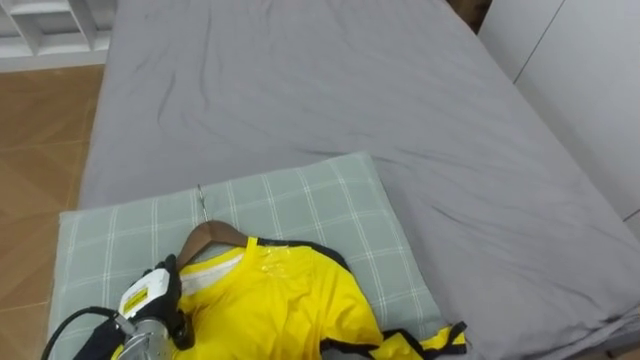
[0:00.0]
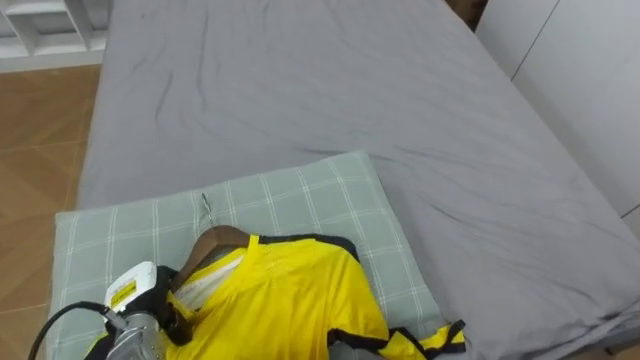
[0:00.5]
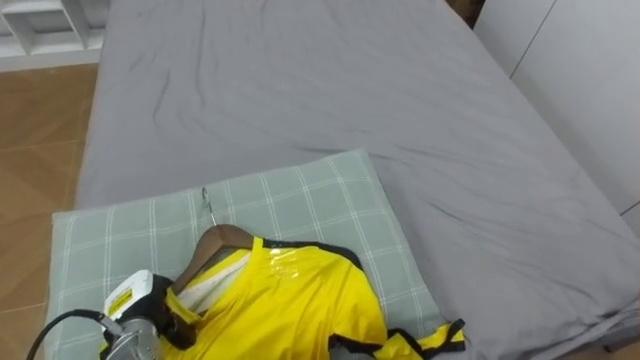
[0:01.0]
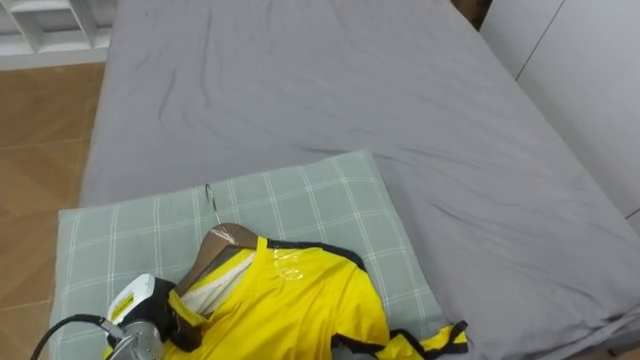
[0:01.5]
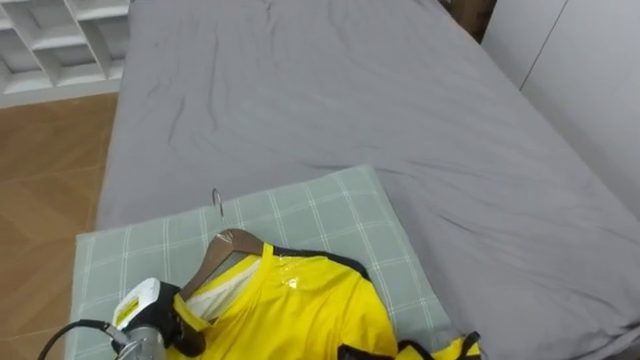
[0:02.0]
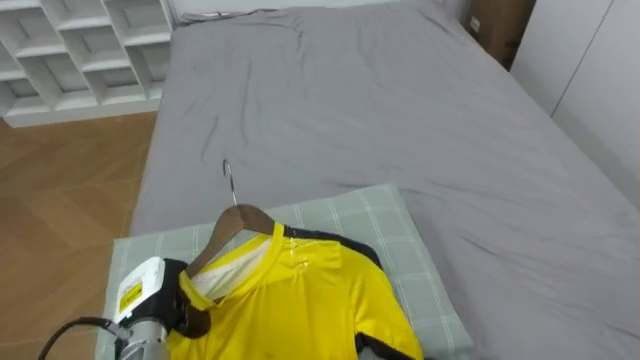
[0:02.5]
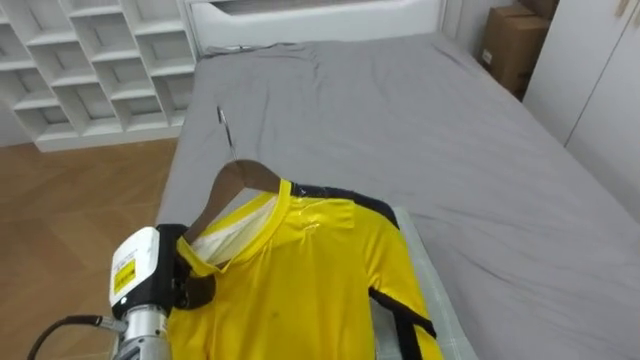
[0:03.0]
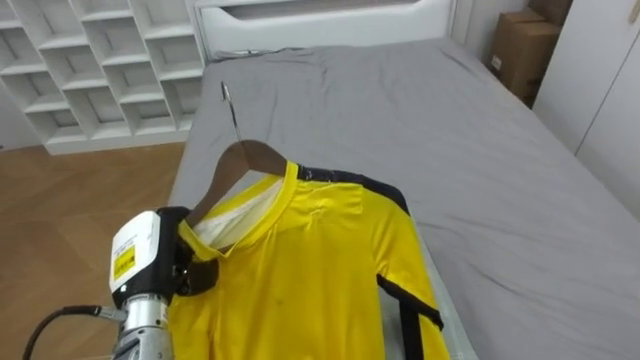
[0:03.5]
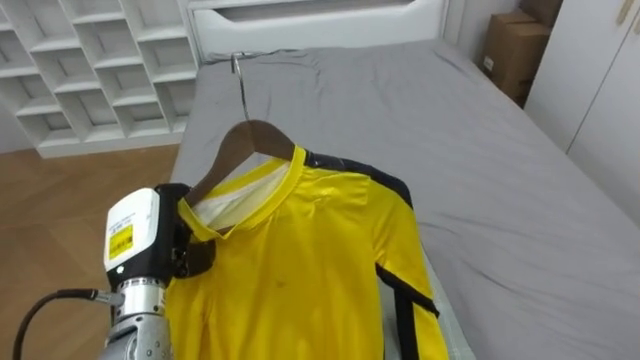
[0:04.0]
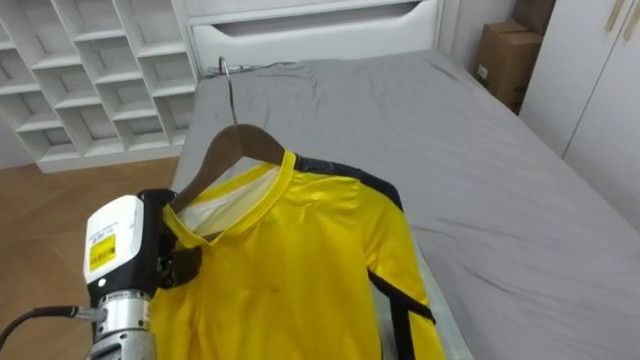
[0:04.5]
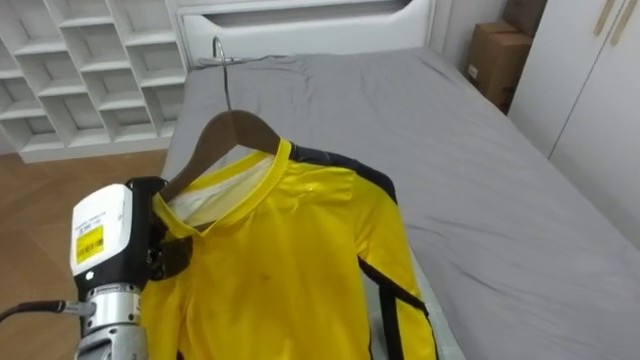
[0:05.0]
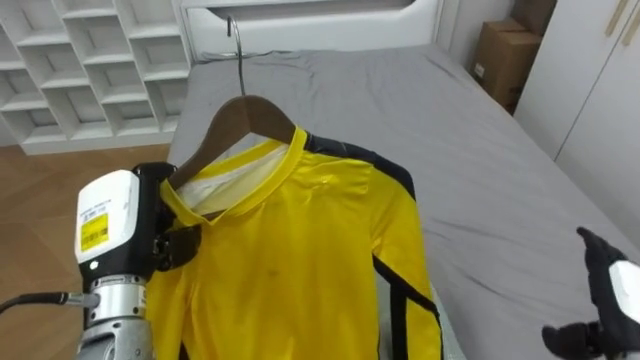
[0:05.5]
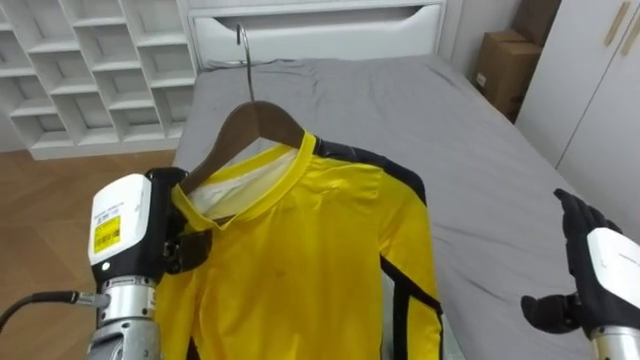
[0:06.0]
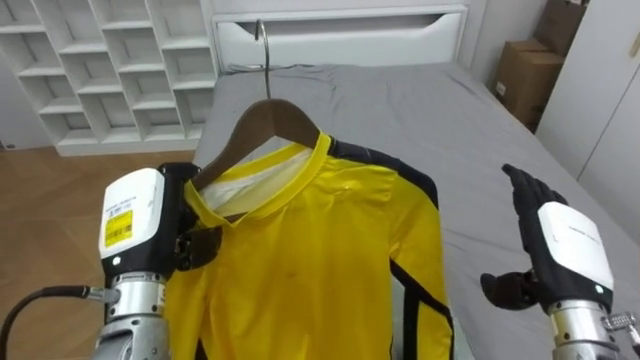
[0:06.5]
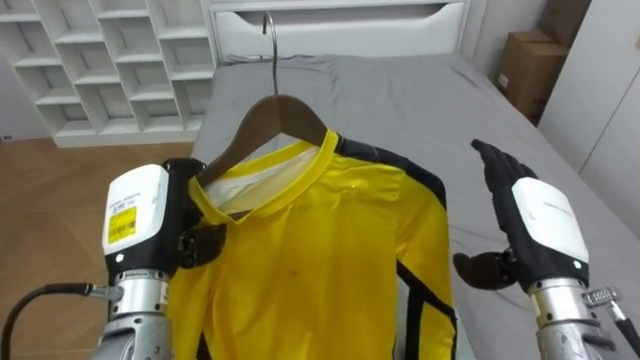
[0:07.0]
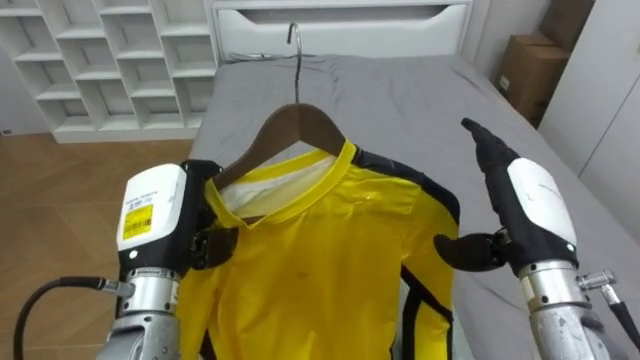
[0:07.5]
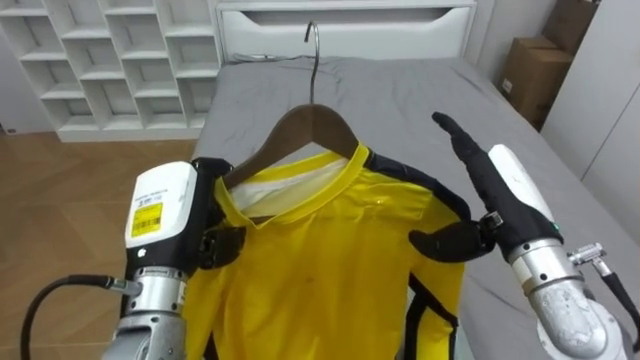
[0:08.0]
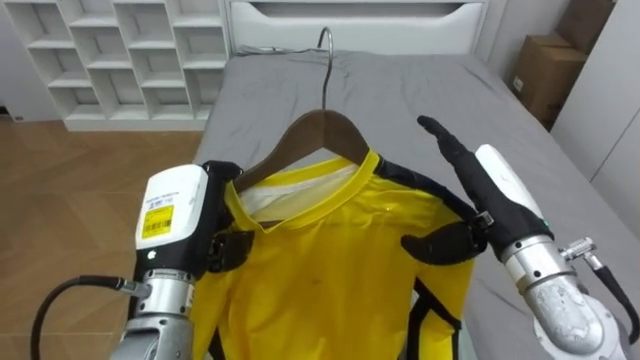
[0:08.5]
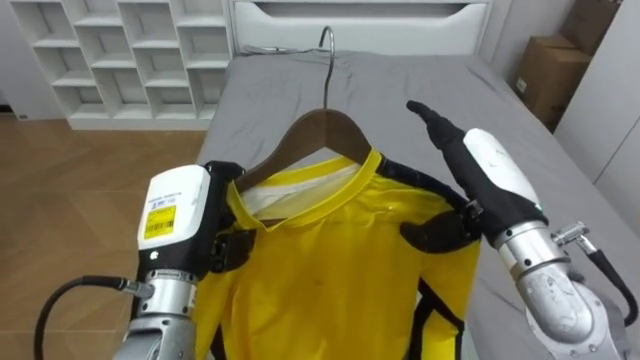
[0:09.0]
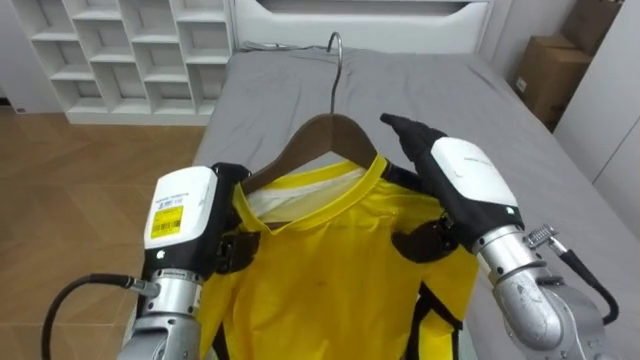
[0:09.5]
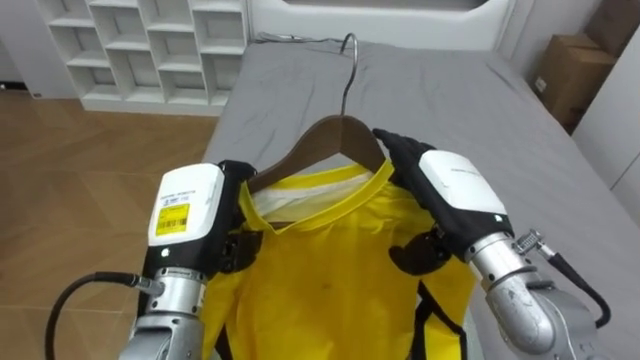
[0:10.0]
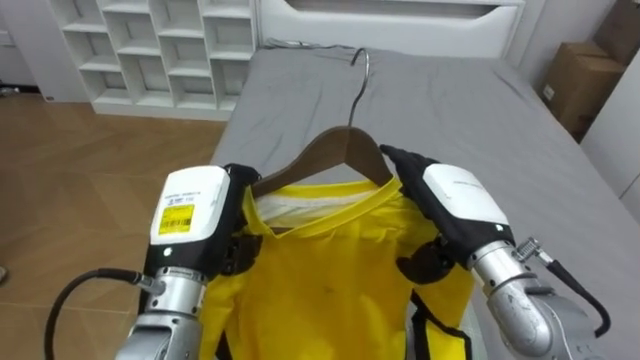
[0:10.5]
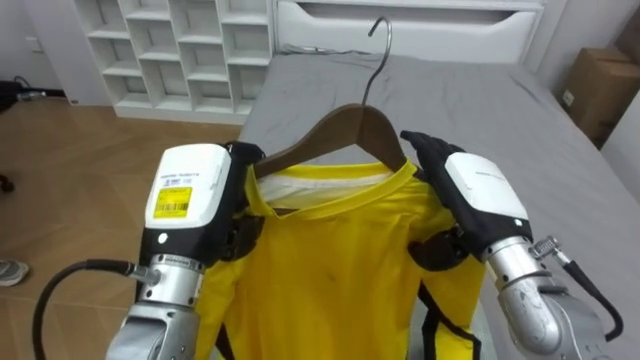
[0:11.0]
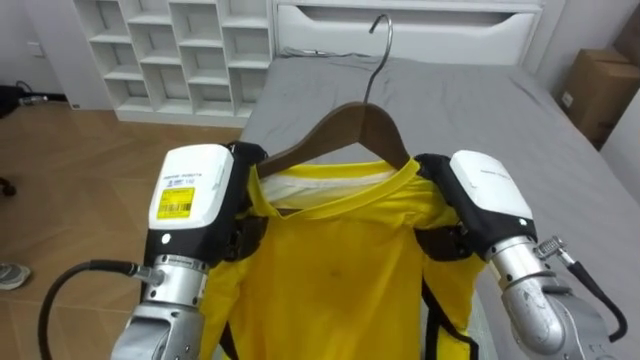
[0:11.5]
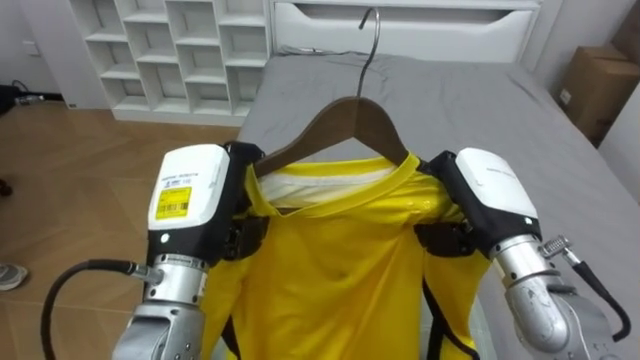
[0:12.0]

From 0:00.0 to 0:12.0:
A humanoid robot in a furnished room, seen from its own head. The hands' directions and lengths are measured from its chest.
Task of the whole recording: Pick up the yellow shirt on the bed and hang it on the clothes rack on the right.
From 0:00.0 to 0:02.0: The left hand closes its fingers.
From 0:02.0 to 0:04.0: The left hand is displaced upward by about 15 cm.
From 0:06.0 to 0:08.0: The right hand goes some 15 cm to the left, upward and forward.
From 0:08.0 to 0:10.0: The right hand moves to the left, about 5 cm.
From 0:10.0 to 0:12.0: The right hand closes up.

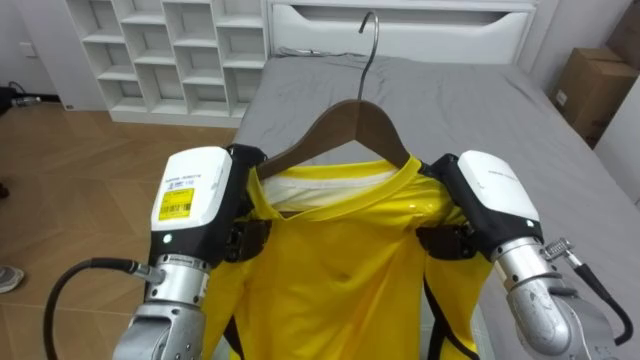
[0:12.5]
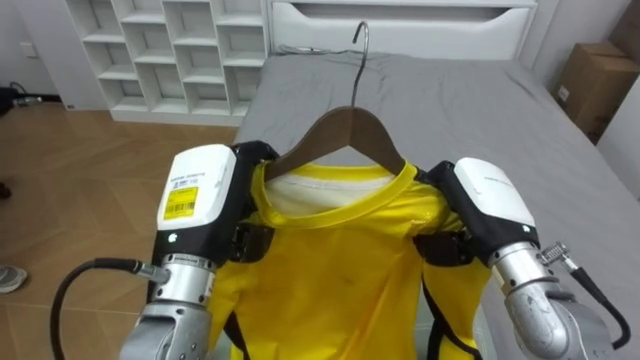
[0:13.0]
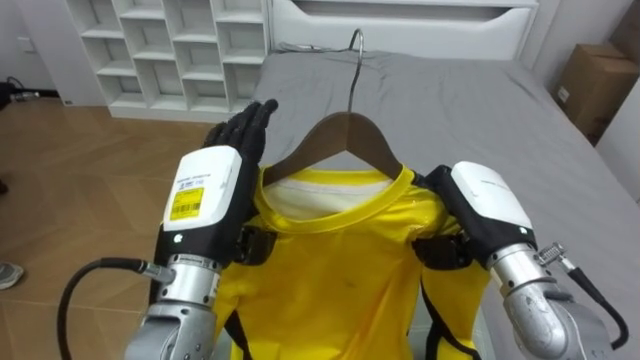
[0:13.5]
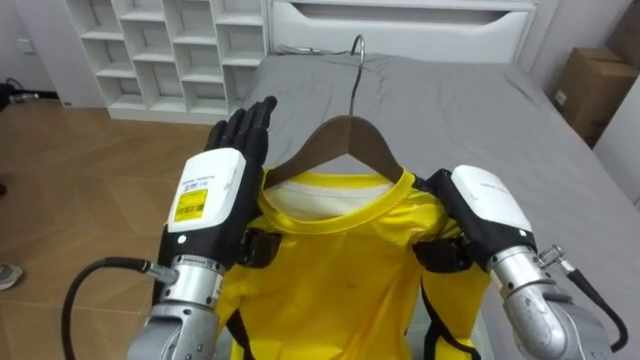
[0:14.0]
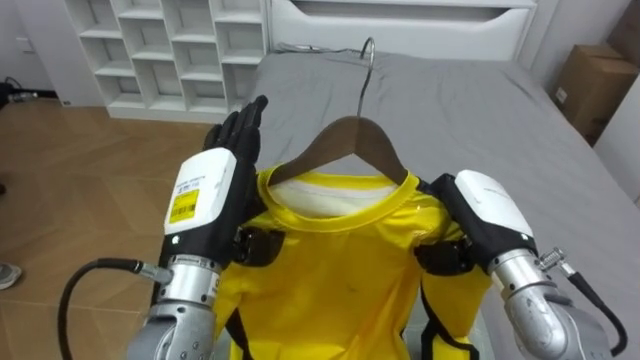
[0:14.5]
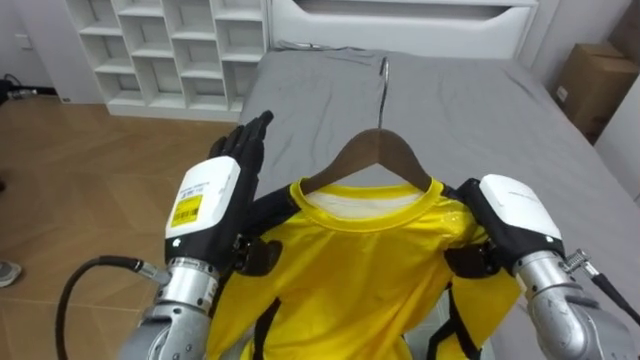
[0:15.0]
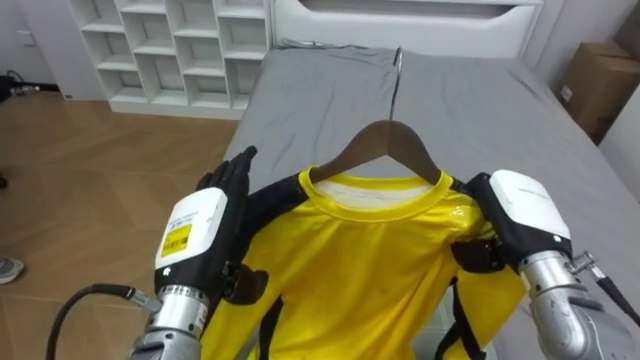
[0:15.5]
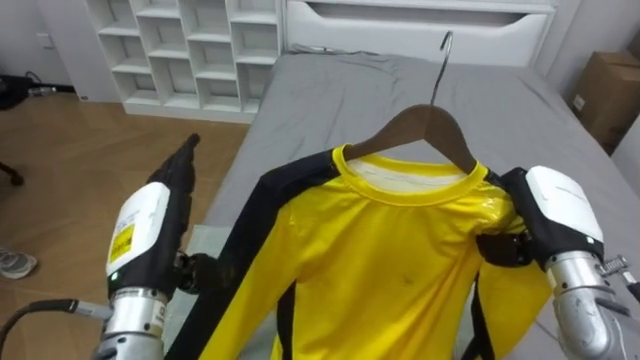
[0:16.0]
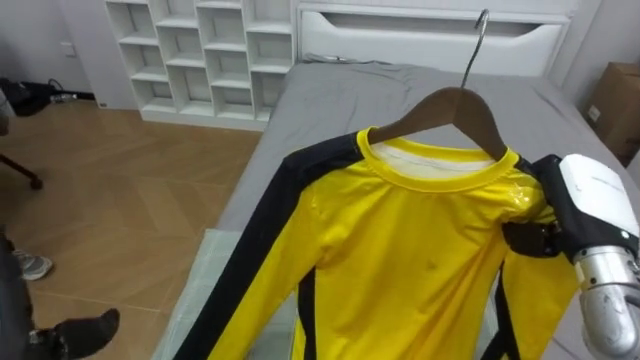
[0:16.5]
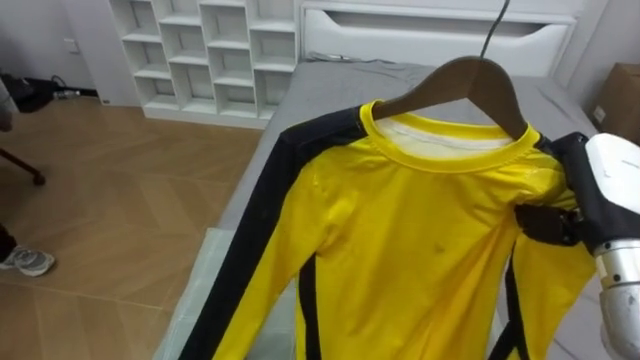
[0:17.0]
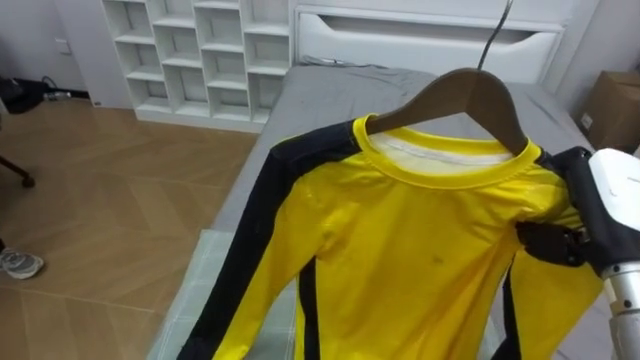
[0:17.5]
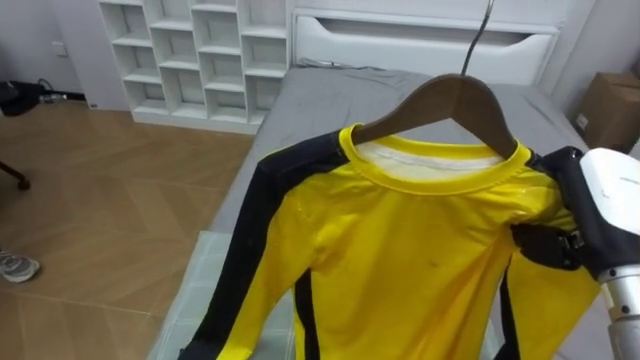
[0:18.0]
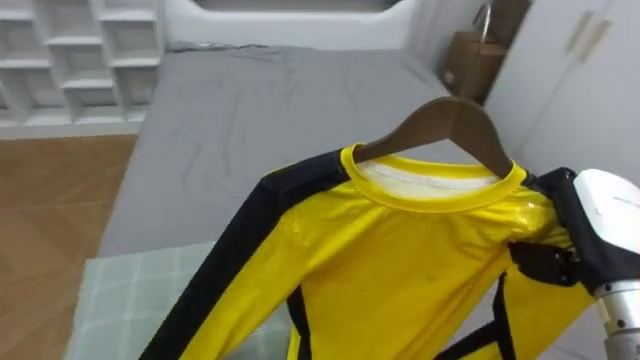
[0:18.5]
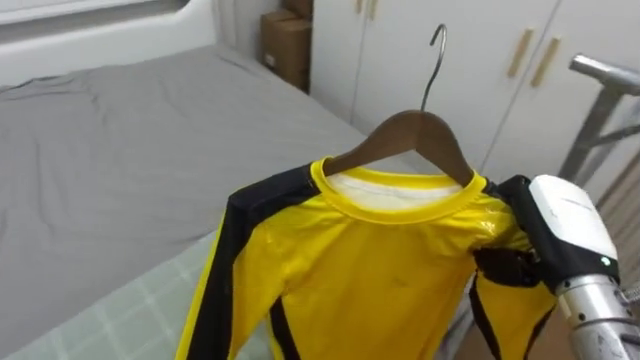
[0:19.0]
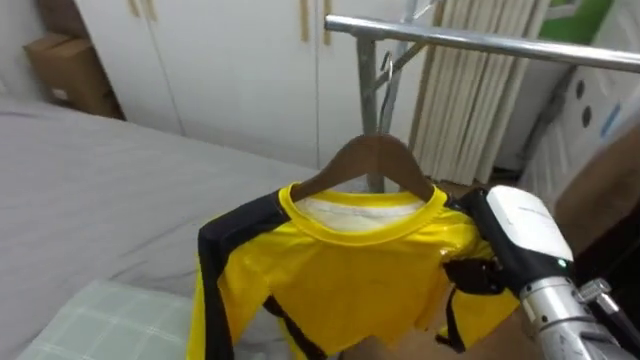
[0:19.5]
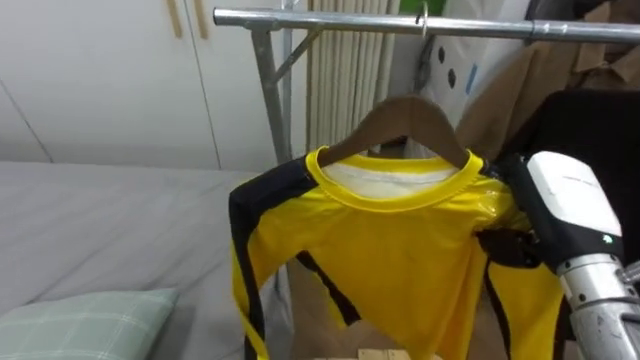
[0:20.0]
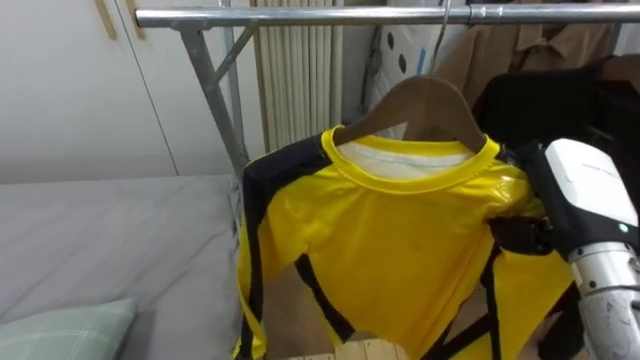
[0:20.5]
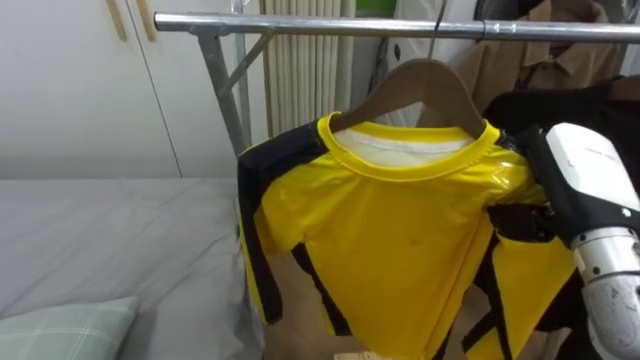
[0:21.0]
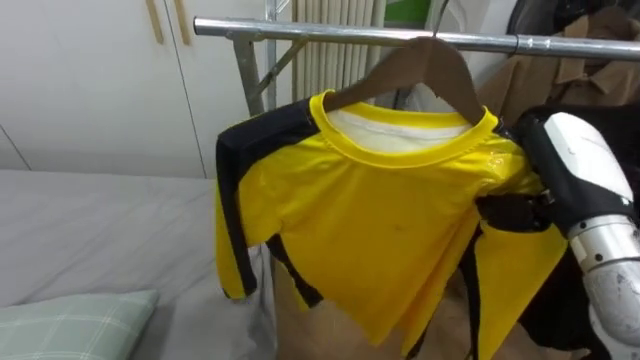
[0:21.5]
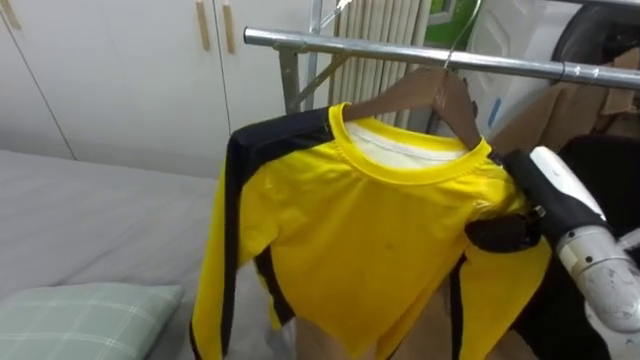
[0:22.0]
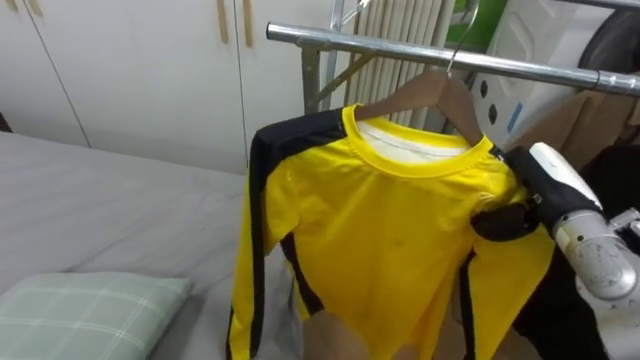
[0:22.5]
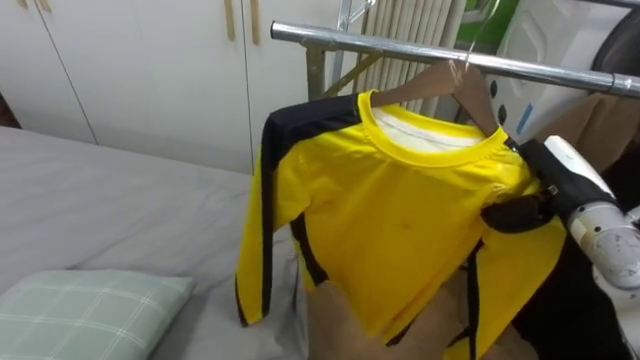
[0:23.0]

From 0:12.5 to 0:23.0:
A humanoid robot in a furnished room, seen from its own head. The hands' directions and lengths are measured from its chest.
Task of the whole recording: Pick up the yellow shirt on the bed and hang it on the clothes rack on the right.
From 0:12.5 to 0:14.5: The left hand opens.
From 0:14.5 to 0:16.5: The left hand travels to the left, downward and backward by about 25 cm. Meanwhile the right hand goes about 10 cm to the right.
From 0:16.5 to 0:19.0: The robot rotates about 50 degrees to its right. The right hand changes place by some 5 cm.
From 0:19.0 to 0:21.0: The robot rotates about 50 degrees to its right. The right hand ends up approximately 5 cm from where it was.
From 0:21.0 to 0:23.0: The right hand moves forward and downward, about 10 cm.
